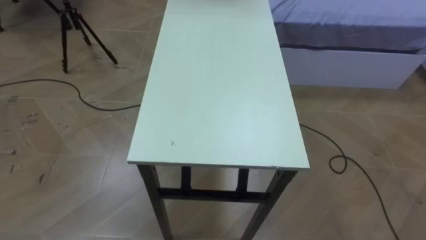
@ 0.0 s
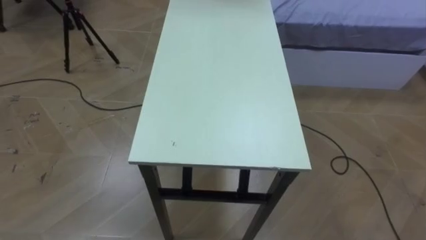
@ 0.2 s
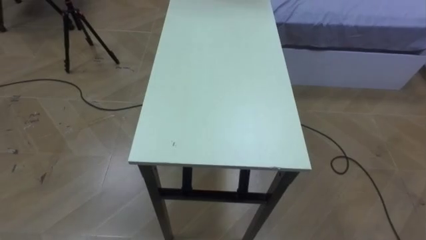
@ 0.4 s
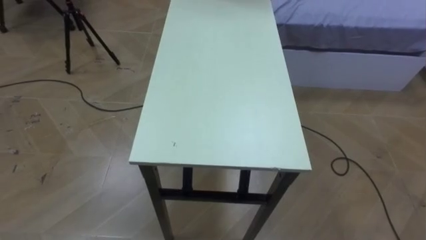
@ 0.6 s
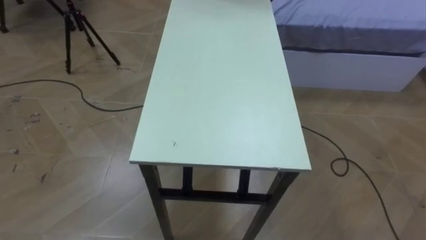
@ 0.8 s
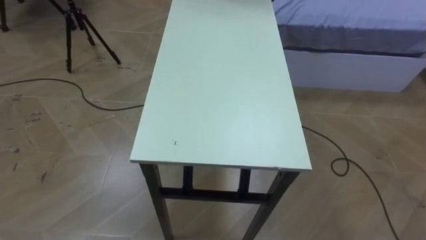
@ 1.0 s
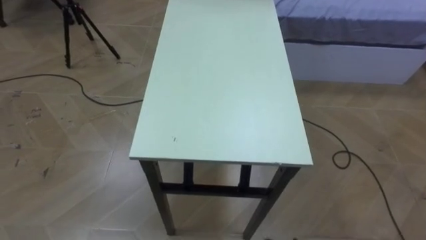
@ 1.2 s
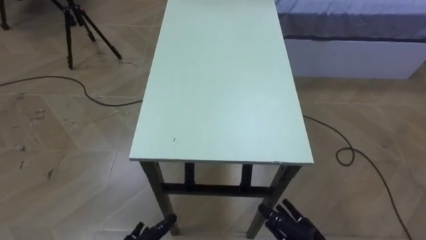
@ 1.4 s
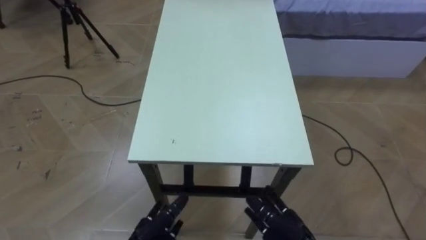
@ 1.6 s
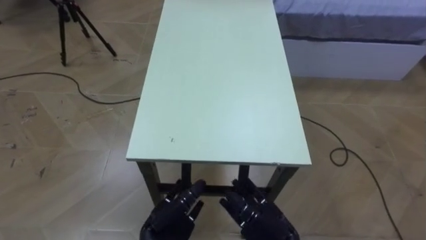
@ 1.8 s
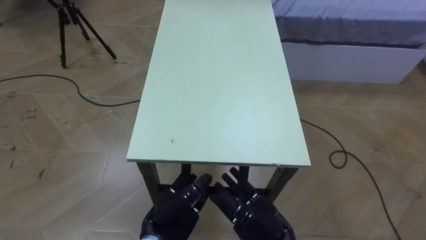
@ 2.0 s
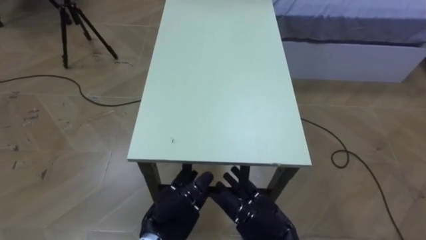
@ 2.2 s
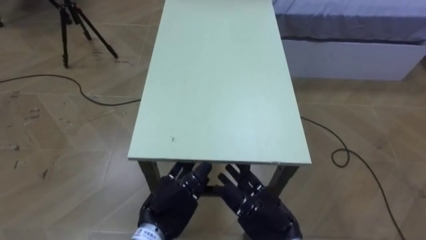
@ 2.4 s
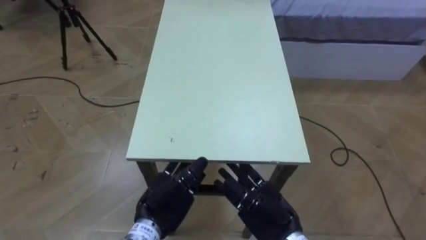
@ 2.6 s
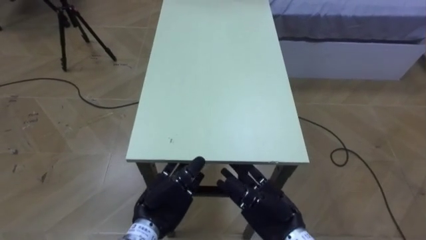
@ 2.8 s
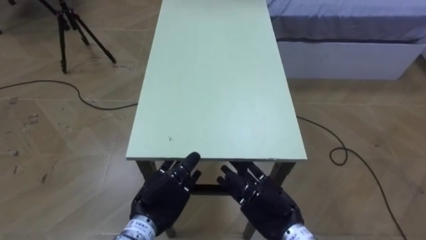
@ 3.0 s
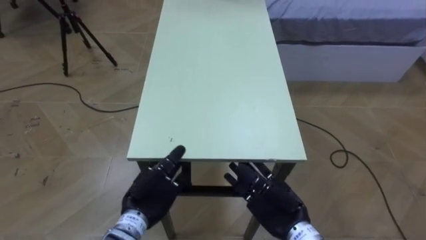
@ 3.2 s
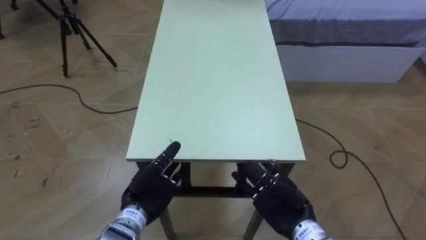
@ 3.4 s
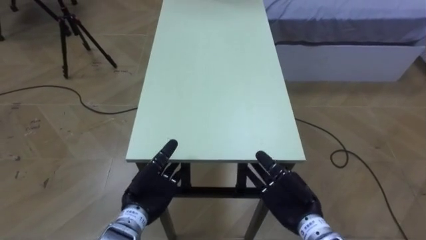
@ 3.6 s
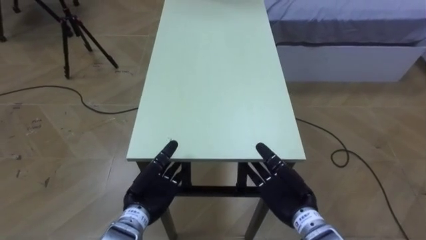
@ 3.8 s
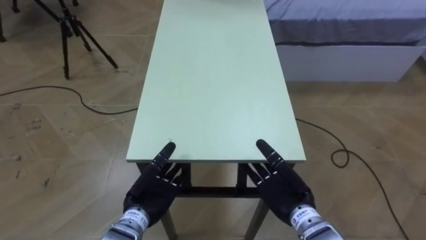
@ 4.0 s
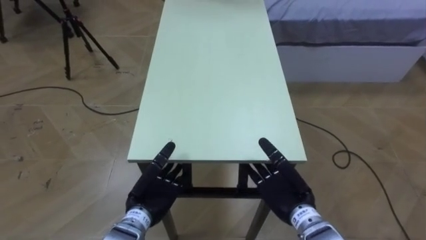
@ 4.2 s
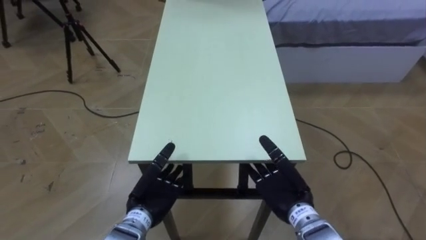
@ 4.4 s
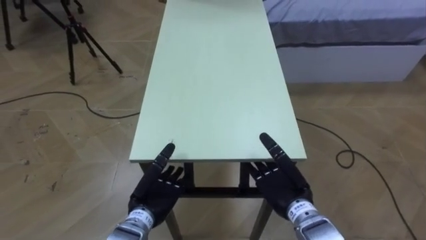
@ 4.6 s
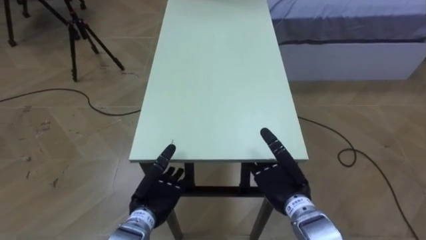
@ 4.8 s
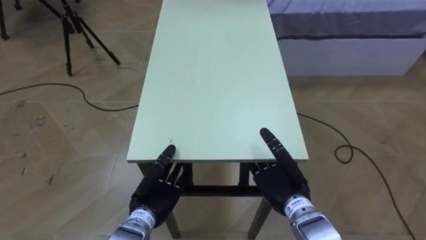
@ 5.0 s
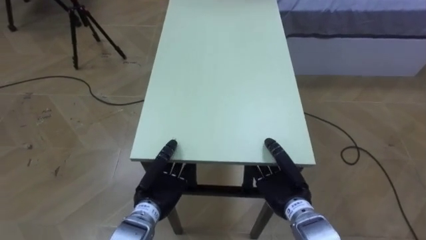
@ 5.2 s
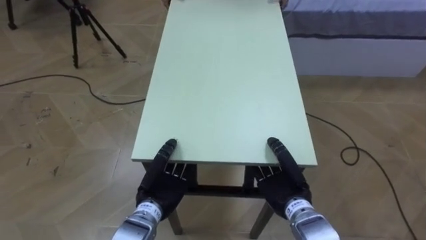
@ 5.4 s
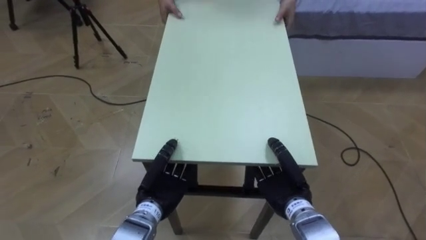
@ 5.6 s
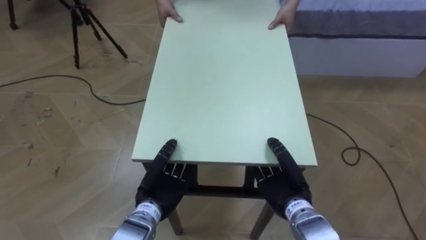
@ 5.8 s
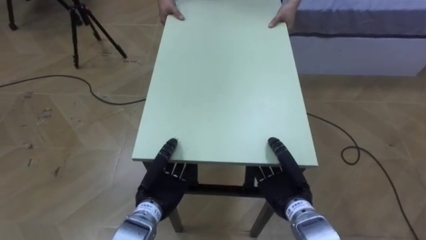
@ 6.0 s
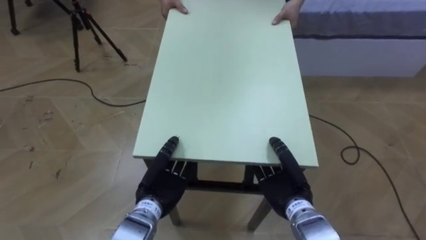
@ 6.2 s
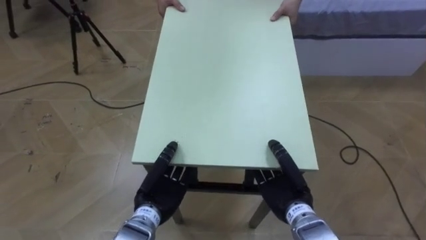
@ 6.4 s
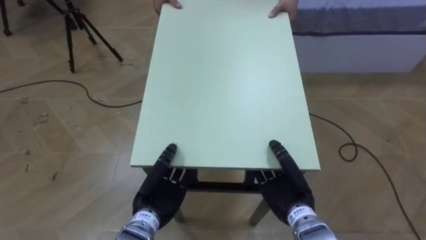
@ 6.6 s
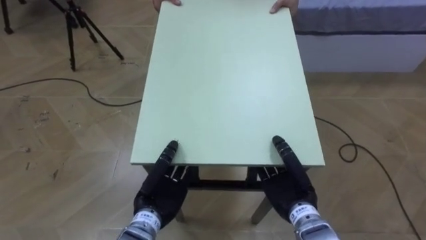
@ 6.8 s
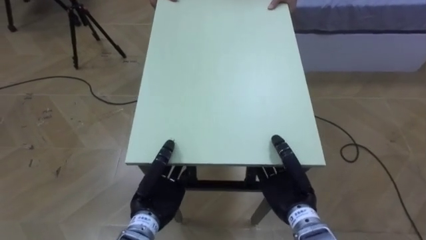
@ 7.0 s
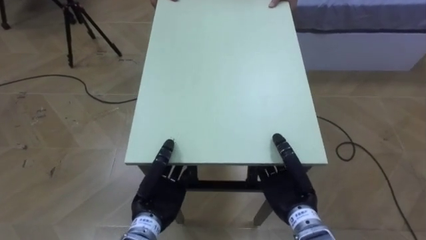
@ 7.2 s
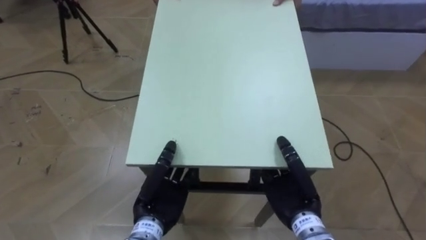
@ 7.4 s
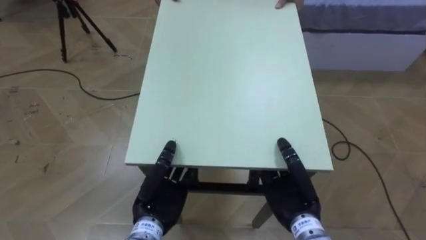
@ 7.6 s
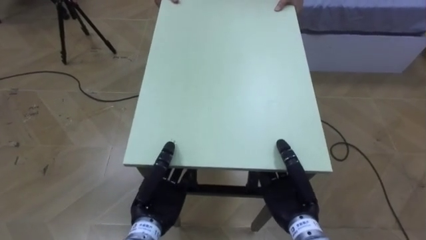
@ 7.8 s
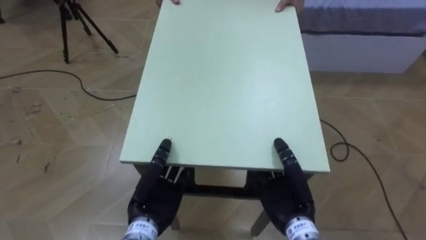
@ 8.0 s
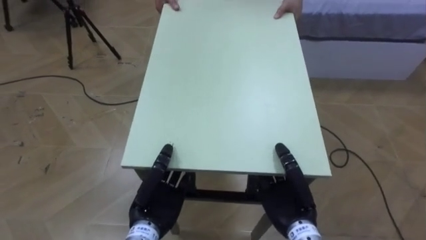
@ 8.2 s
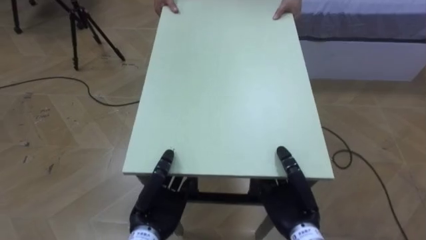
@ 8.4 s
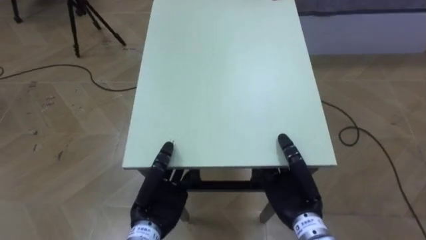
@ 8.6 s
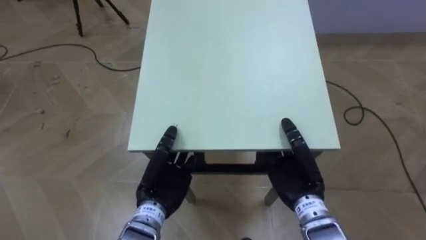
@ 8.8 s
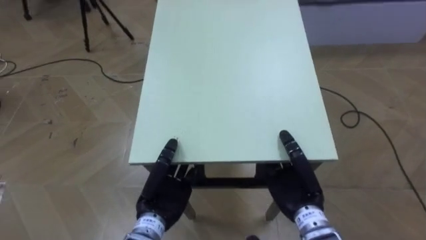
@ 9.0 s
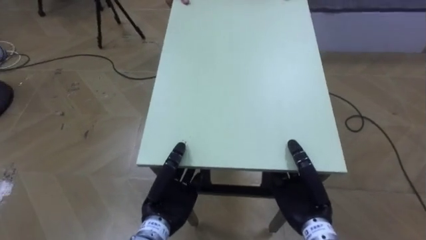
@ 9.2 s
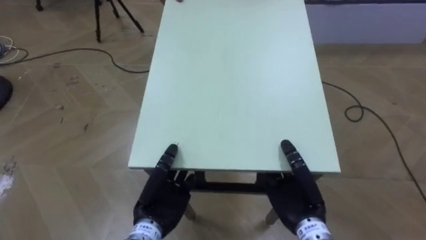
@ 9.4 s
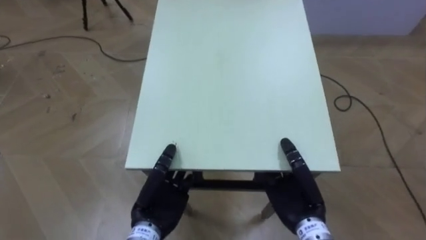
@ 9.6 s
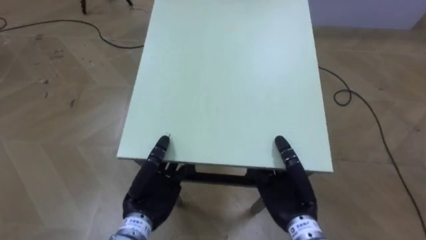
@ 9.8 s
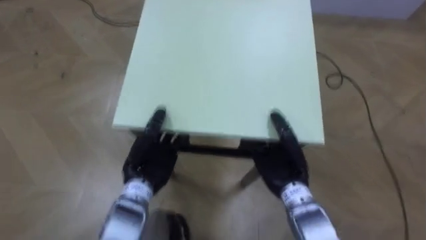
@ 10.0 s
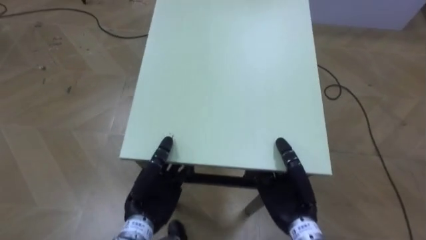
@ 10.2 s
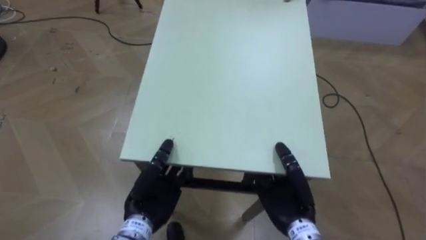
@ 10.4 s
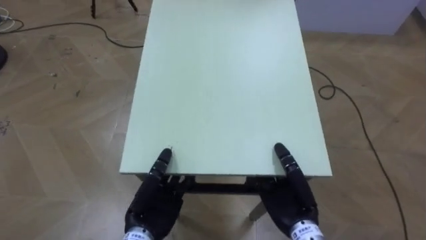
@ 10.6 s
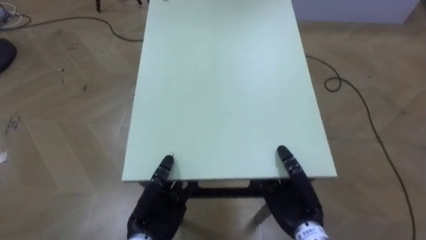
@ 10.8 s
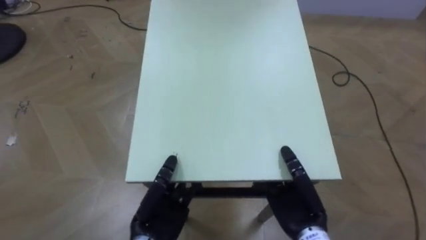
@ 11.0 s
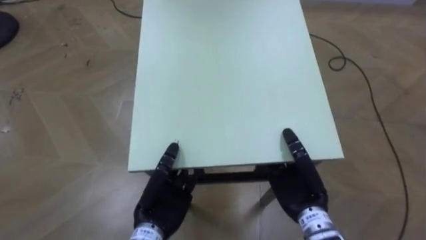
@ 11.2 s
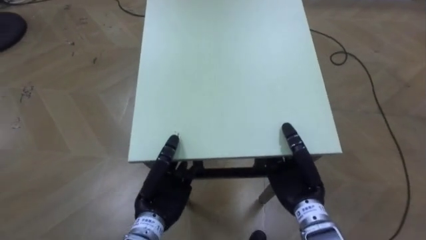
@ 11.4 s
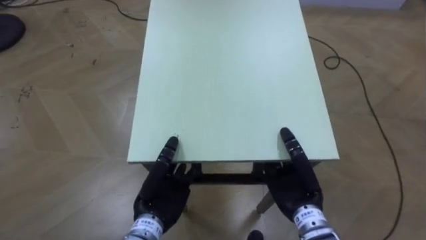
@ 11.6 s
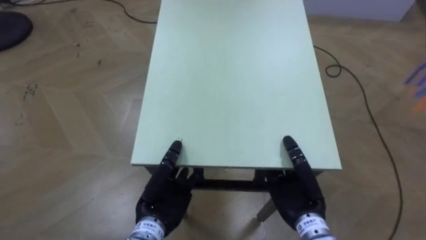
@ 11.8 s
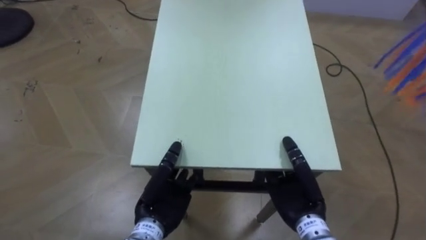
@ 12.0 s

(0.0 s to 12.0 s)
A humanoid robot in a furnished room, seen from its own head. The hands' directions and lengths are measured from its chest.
Task of the whole recording: Move the table to the back left with someone.
1.6 s - 3.0 s: The right hand moves upward, about 5 cm. Meanwhile the left hand heads upward and forward, covering about 10 cm.
3.0 s - 4.4 s: The left hand ends up approximately 5 cm from where it was.
4.4 s - 6.0 s: The right hand closes, while the left hand closes up.

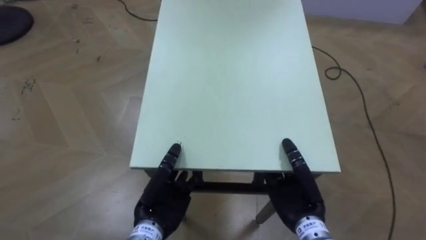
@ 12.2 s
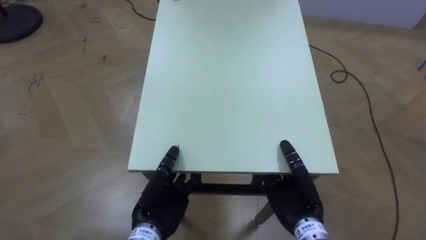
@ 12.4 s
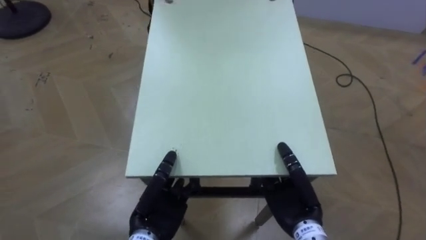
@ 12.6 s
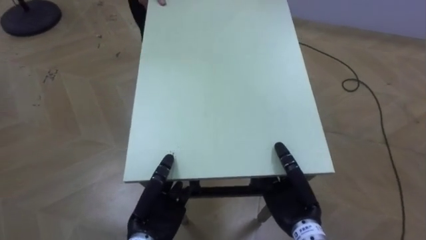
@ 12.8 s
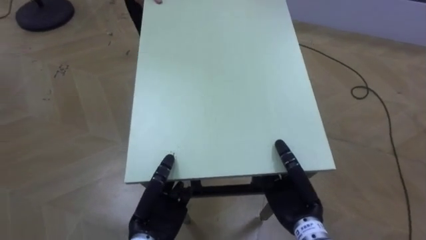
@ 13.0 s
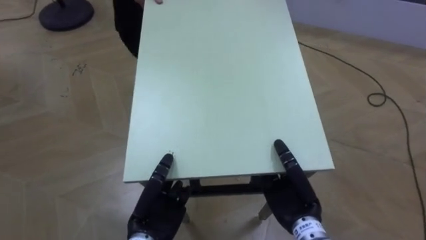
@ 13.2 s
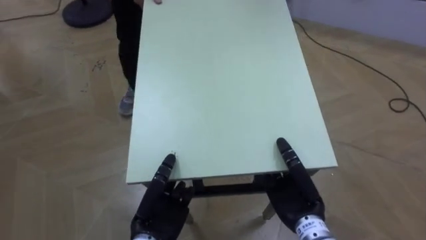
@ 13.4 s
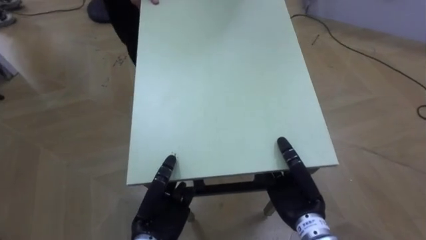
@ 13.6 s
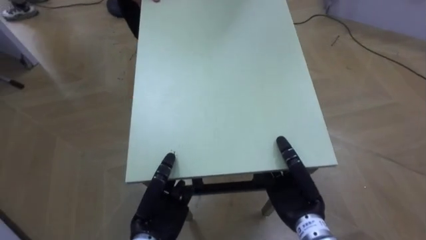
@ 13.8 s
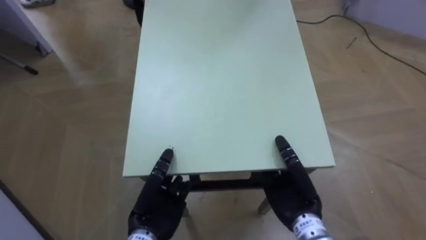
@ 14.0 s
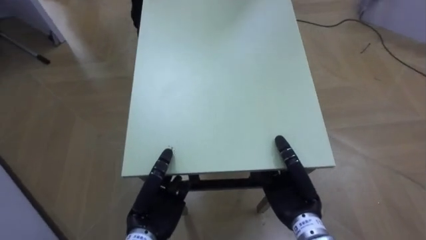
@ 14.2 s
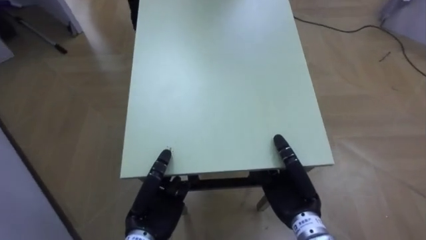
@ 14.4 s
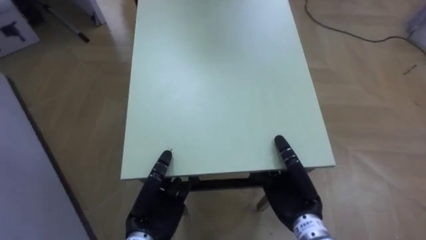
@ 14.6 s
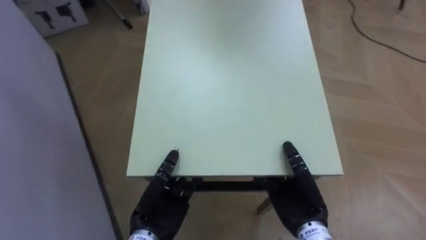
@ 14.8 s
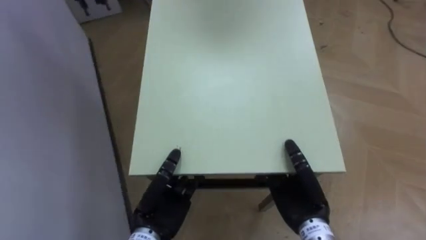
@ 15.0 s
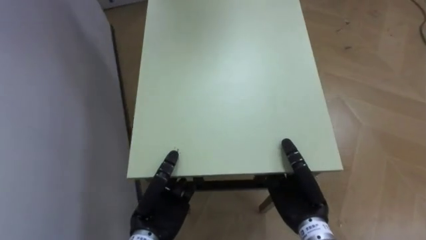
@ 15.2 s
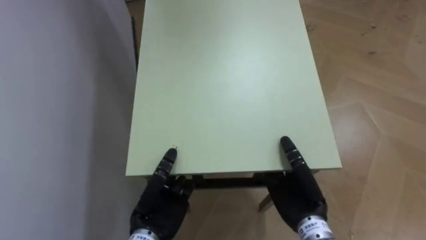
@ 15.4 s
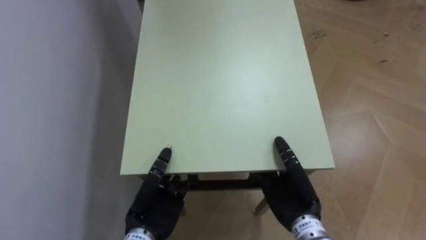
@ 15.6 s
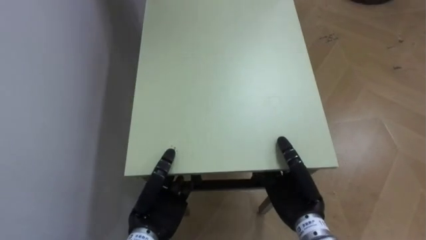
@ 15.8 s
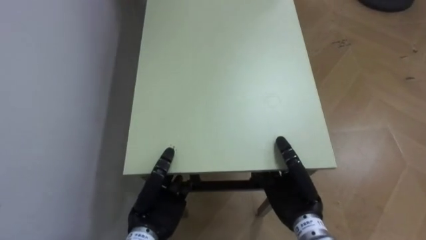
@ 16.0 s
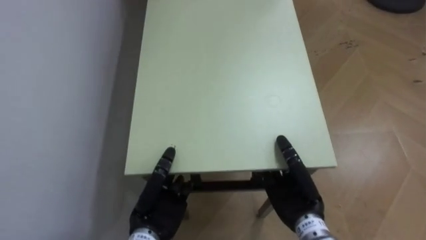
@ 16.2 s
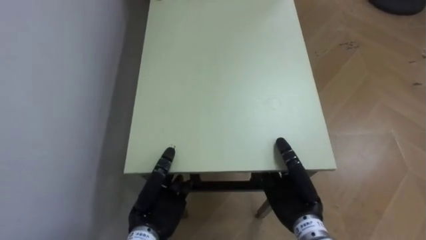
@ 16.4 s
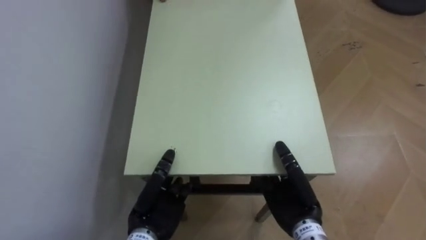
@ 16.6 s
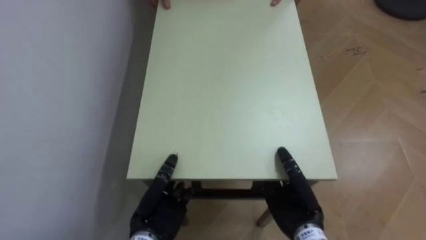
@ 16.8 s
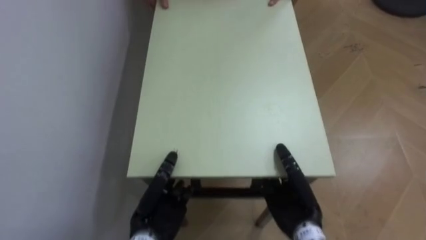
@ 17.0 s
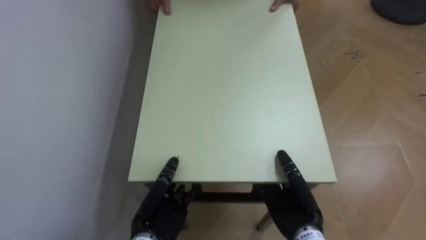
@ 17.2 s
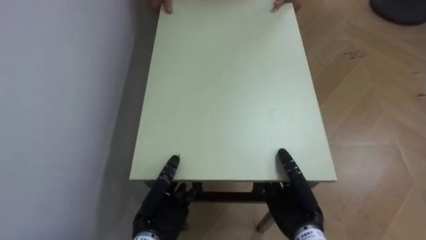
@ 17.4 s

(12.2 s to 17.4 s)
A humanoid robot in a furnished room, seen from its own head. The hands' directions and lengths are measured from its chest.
Task of the whole recording: Move the table to the back left with someone.
12.2 s - 14.0 s: The robot faces roughly 30 degrees further to its left.
14.0 s - 15.6 s: The robot rotates some 40 degrees to its left.
